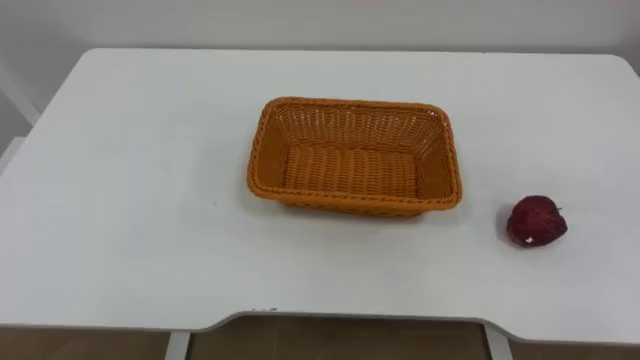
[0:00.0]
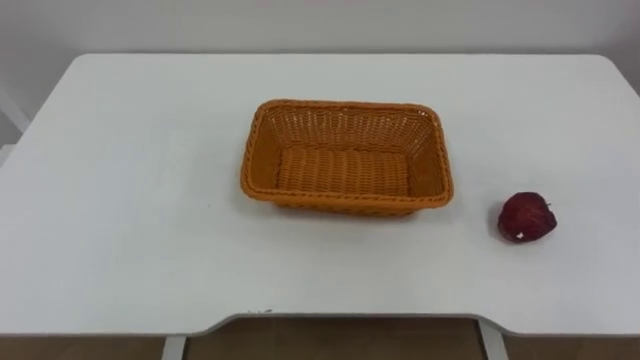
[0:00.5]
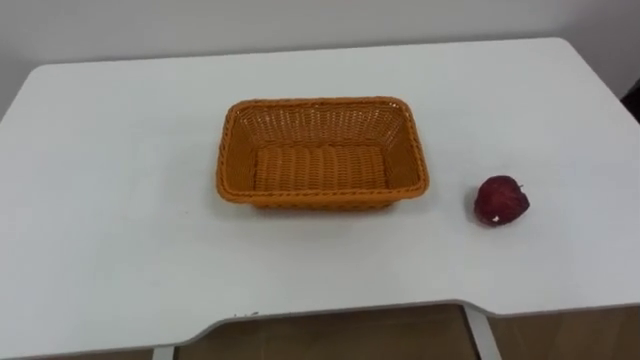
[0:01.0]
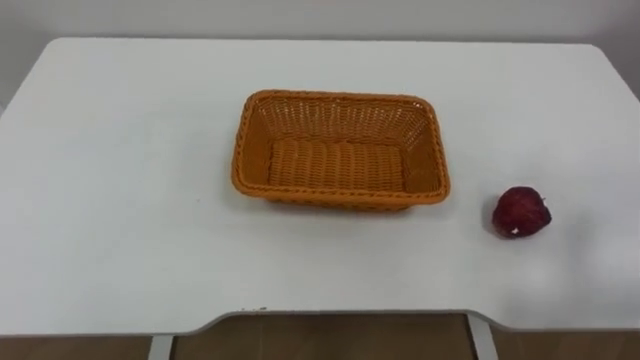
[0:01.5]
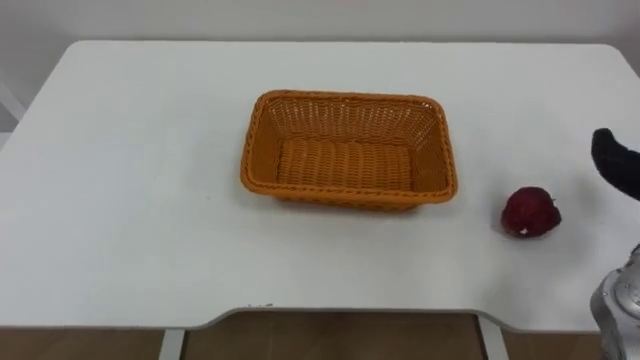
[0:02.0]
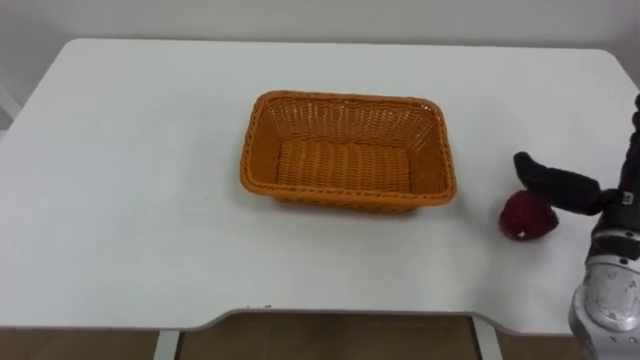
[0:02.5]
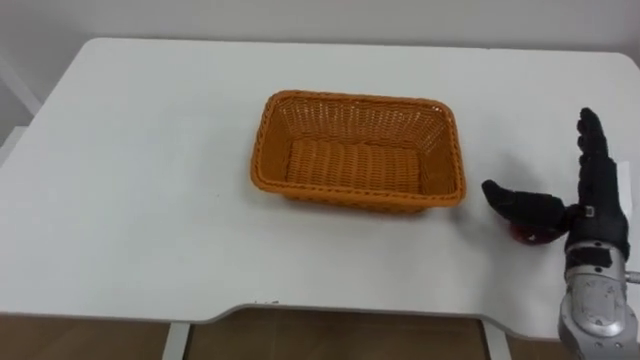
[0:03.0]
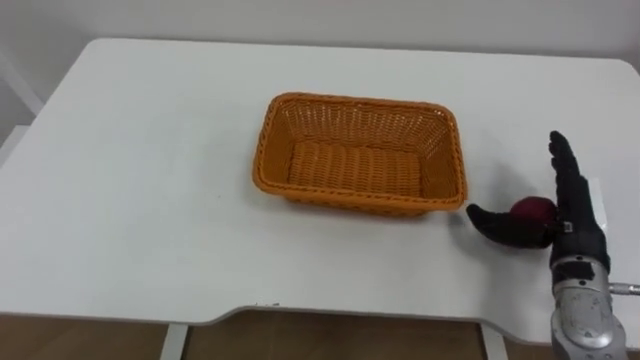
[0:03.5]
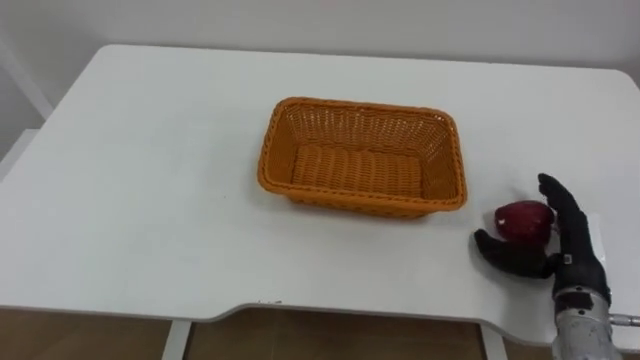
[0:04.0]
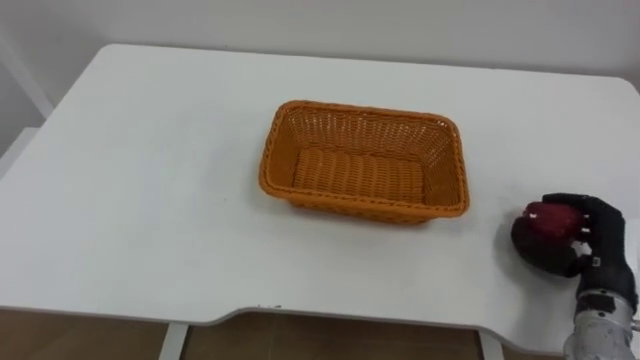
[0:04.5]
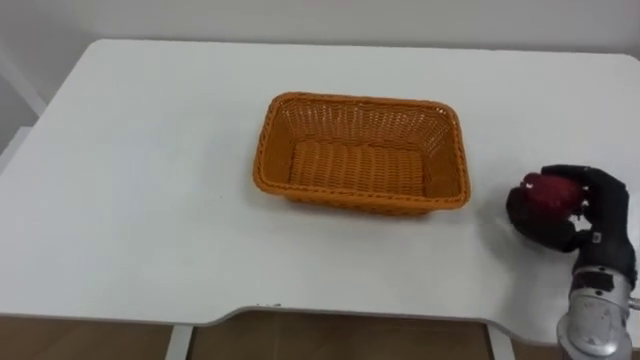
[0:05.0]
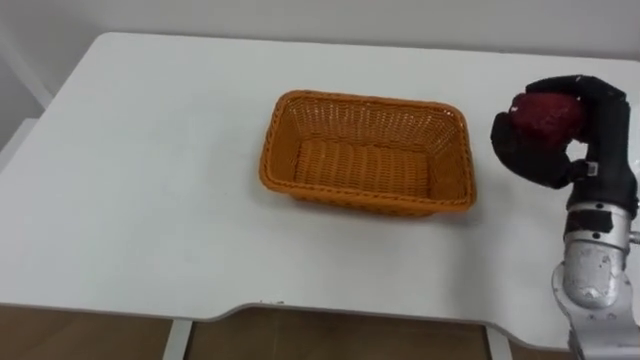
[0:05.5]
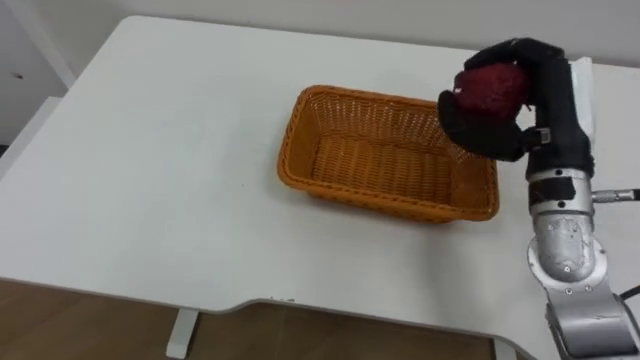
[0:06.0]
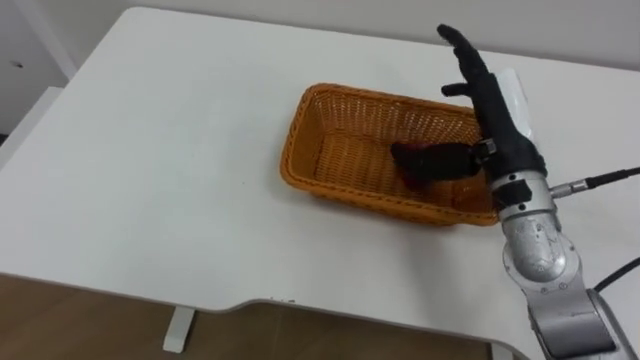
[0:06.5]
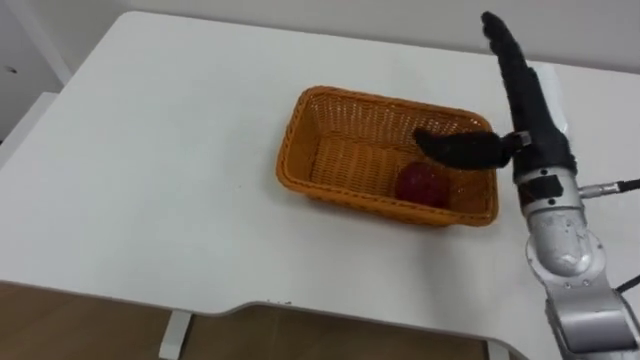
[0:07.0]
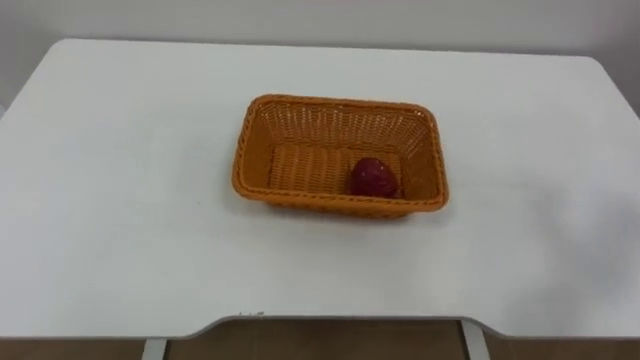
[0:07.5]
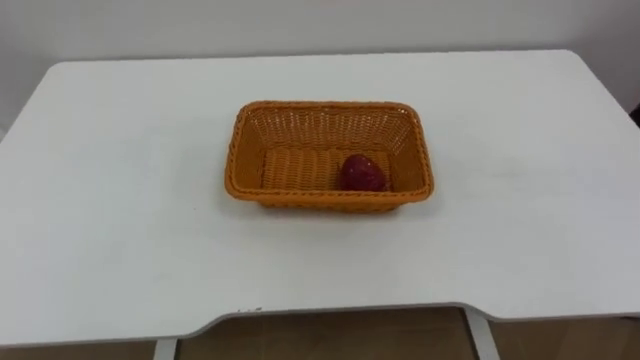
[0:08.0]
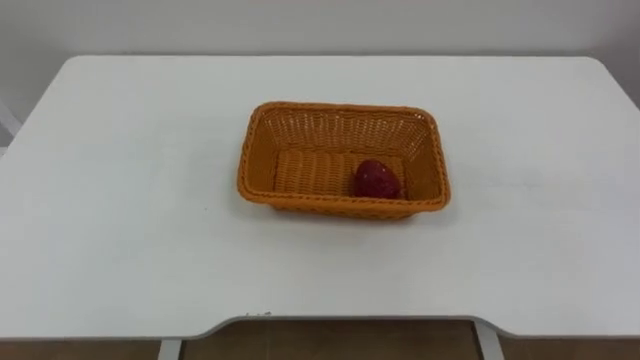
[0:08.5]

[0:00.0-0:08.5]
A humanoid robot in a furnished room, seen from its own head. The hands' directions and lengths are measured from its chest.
Task of the whole recording: Pick the apple and place it in the box.
0:04.0 to 0:06.5: The right hand shifts about 20 cm upward, to the left and forward, and closes and opens again.

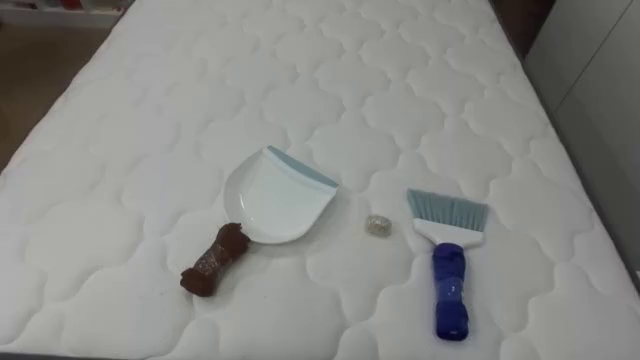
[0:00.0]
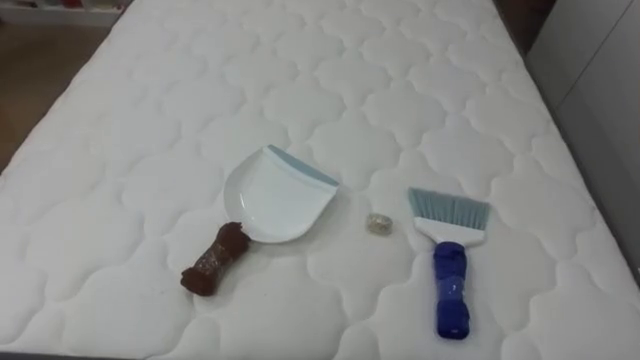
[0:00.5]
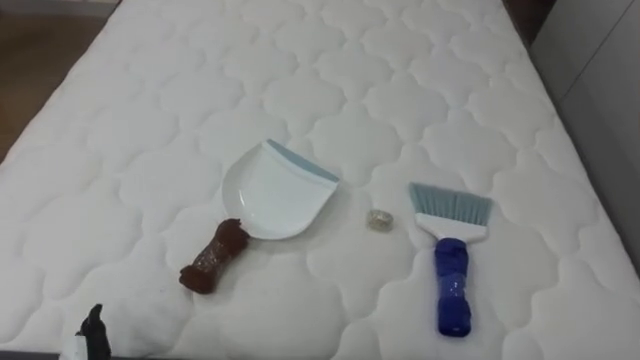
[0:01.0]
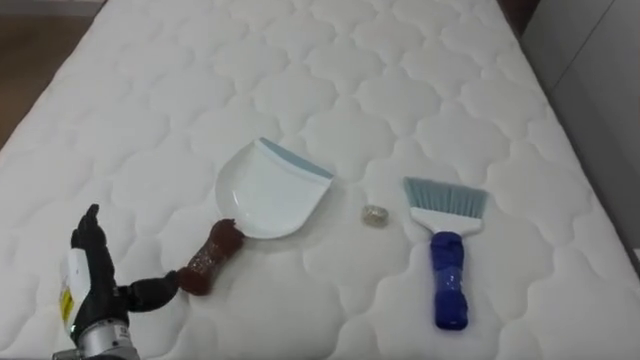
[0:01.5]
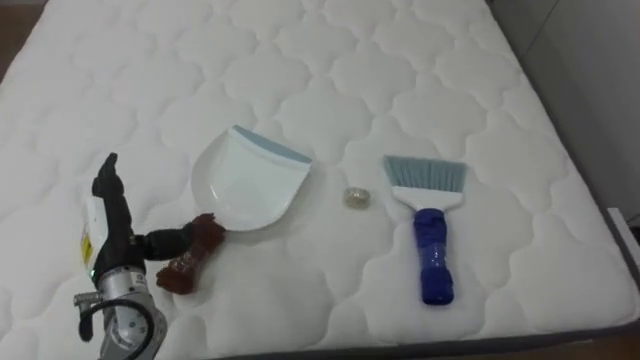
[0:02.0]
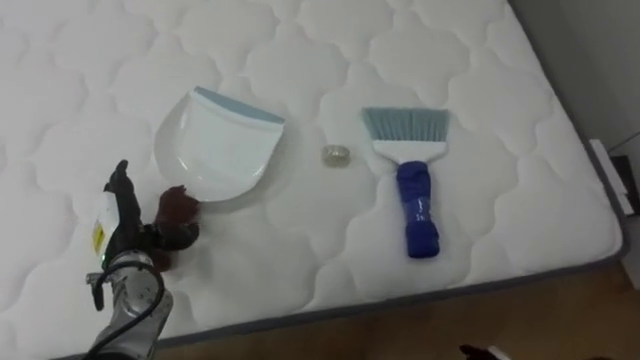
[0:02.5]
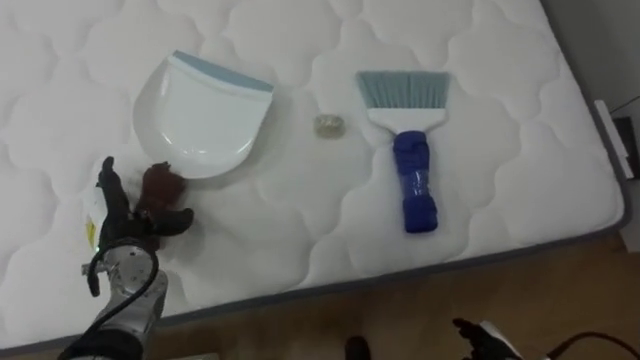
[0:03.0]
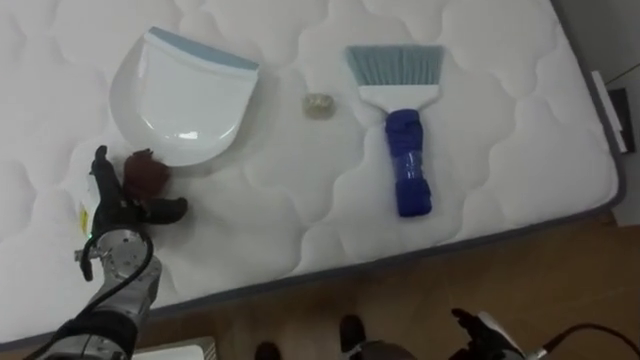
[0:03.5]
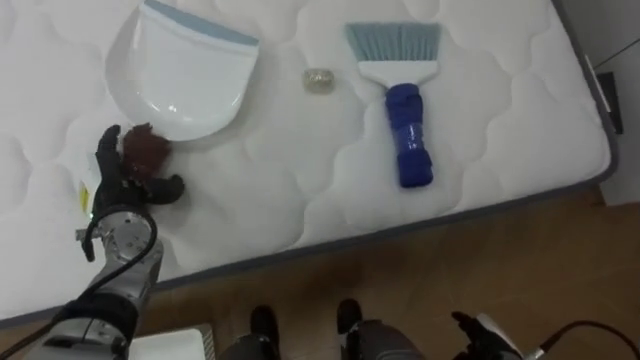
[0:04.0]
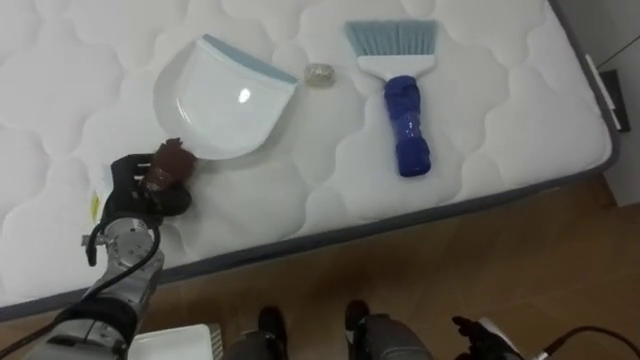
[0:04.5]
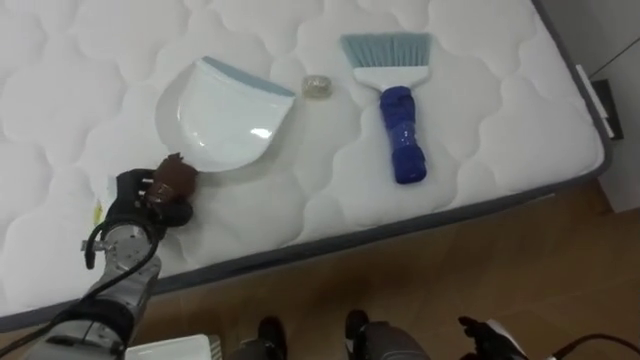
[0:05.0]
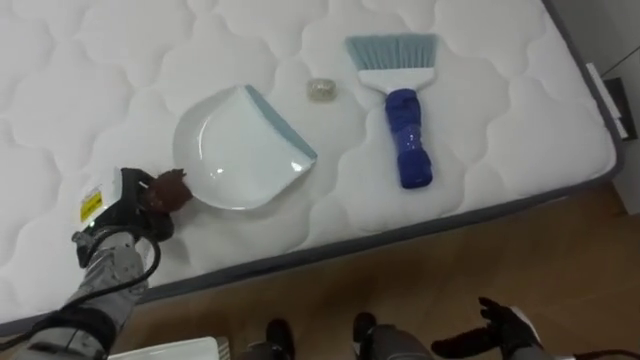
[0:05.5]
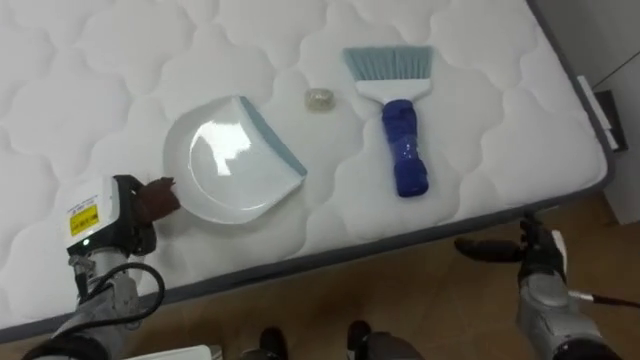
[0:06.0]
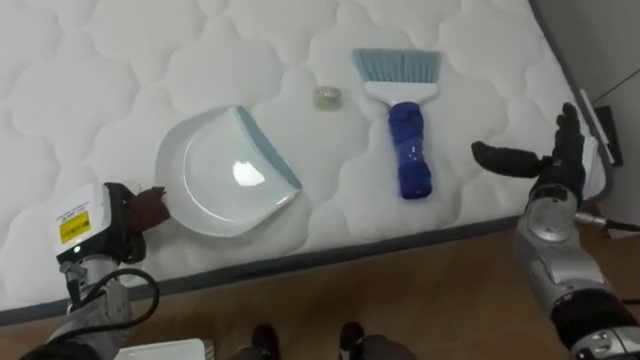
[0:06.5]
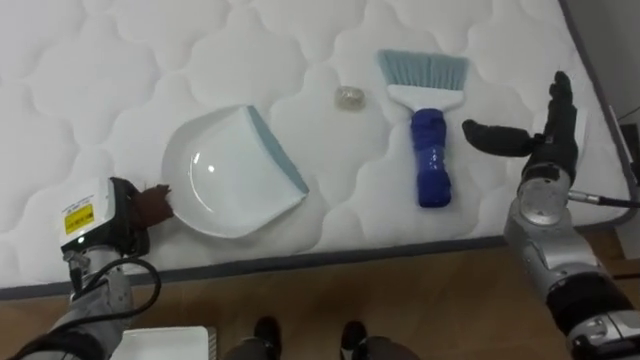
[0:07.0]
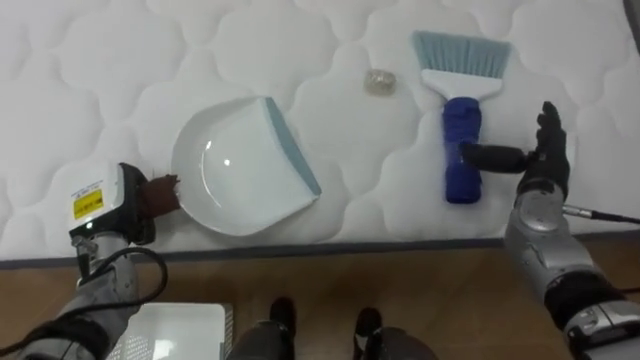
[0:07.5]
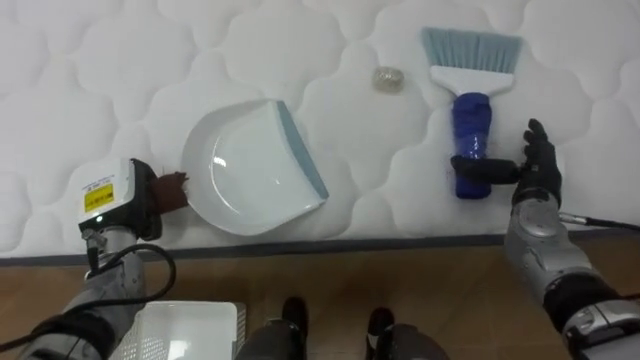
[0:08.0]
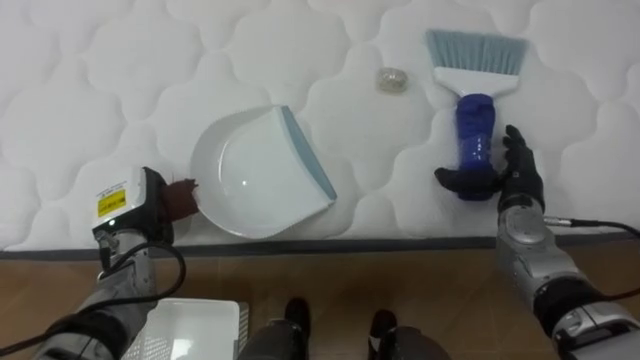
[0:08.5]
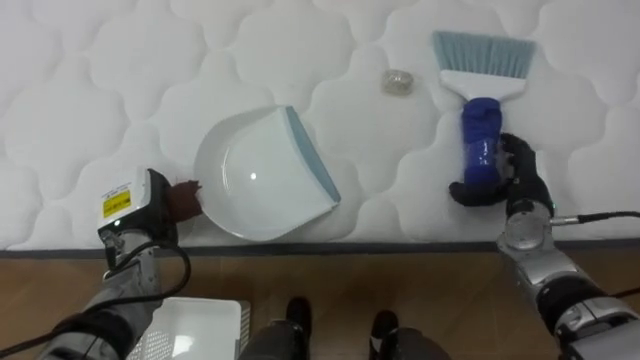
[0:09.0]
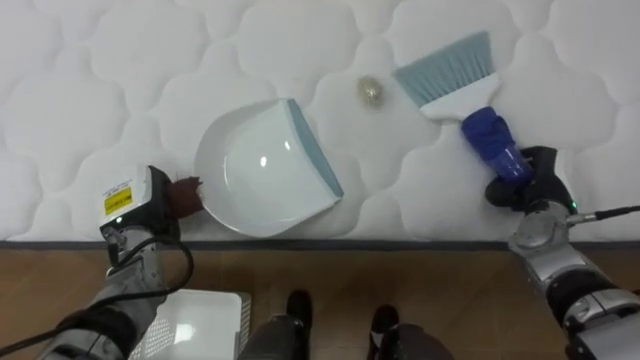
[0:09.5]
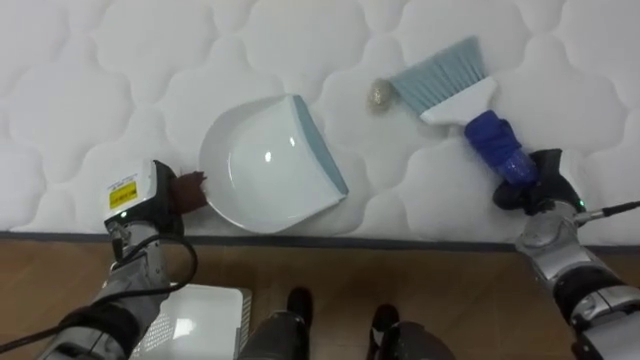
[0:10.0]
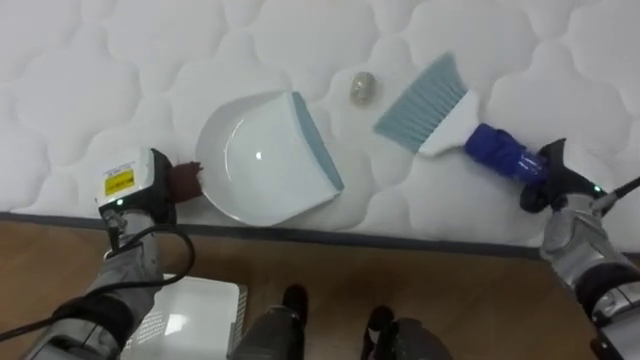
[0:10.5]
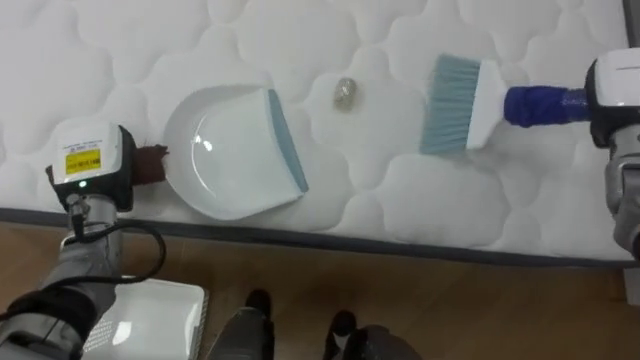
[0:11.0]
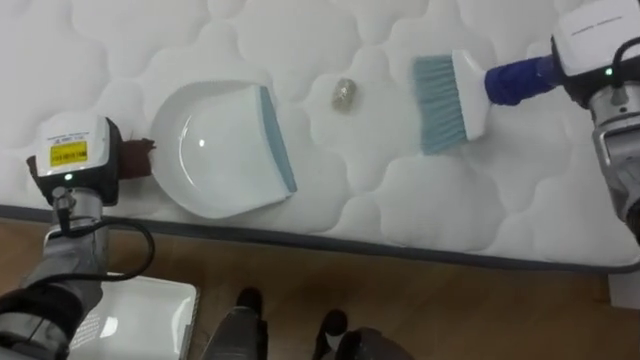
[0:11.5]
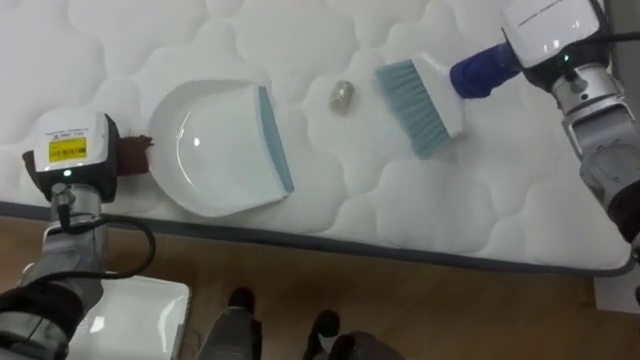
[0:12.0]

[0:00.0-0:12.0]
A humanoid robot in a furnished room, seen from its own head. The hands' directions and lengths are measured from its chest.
Task of the whole recording: Pick up the brush on your right and the dustpan on your left. Use the brush to sweep the crumpled paper on the bed into the dustpan, then turn left and empty it into the basket.
0:02.0 to 0:04.0: The left hand heads forward, covering some 5 cm.
0:04.0 to 0:06.0: The left hand closes up.
0:06.0 to 0:08.0: The right hand is displaced upward and forward by roughly 10 cm.
0:08.0 to 0:10.0: The right hand closes up.
0:10.0 to 0:12.0: The left hand heads upward and to the left, covering about 10 cm.
